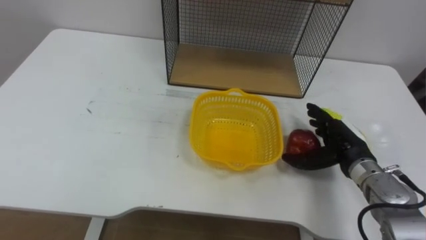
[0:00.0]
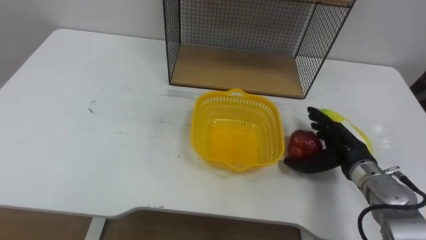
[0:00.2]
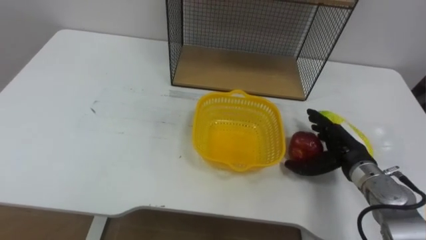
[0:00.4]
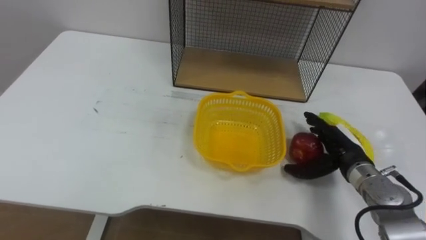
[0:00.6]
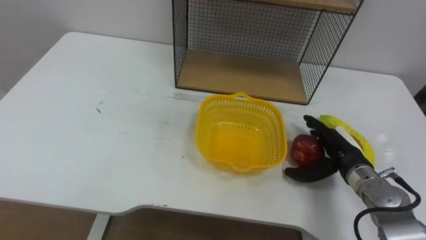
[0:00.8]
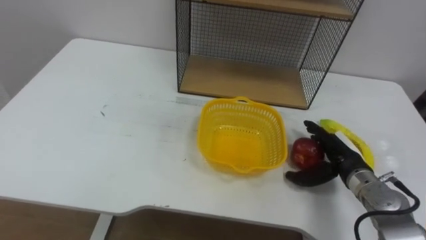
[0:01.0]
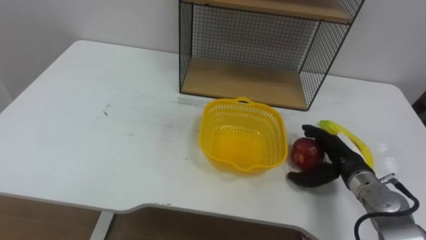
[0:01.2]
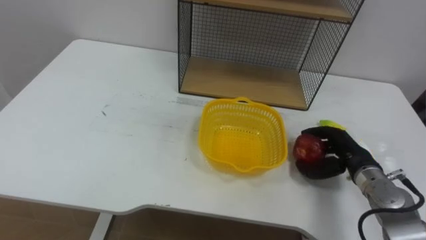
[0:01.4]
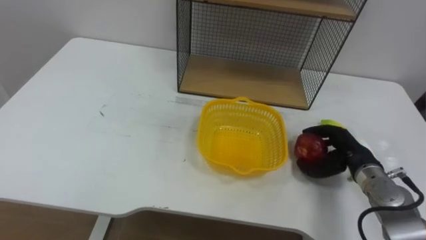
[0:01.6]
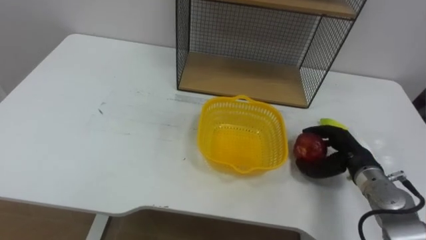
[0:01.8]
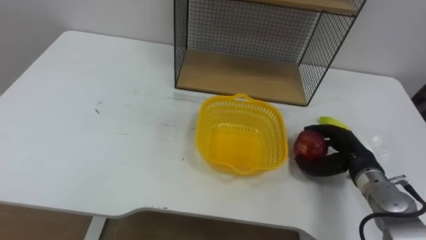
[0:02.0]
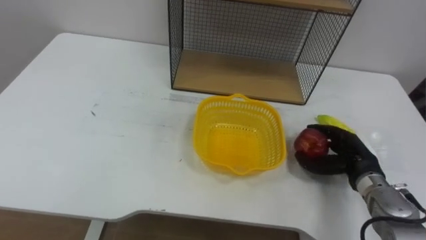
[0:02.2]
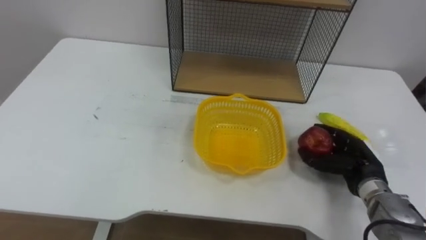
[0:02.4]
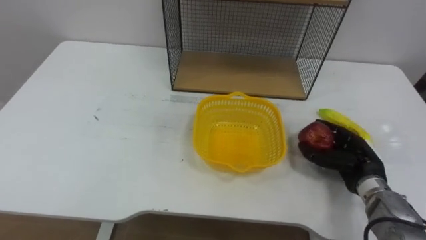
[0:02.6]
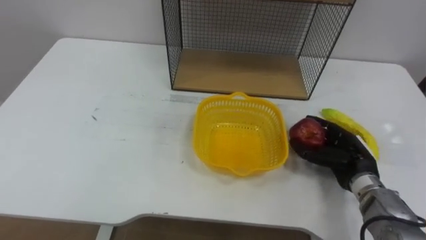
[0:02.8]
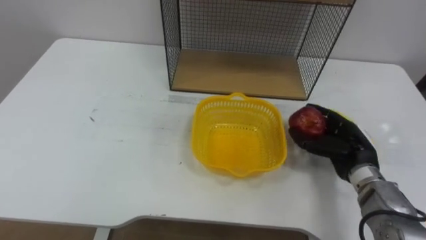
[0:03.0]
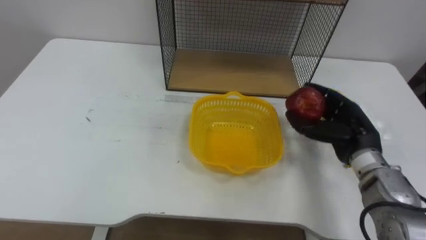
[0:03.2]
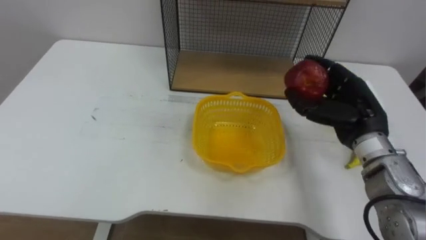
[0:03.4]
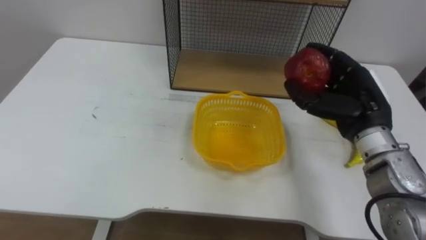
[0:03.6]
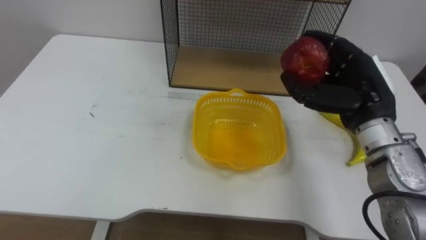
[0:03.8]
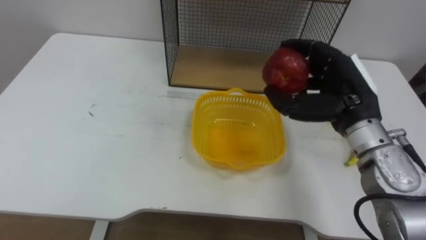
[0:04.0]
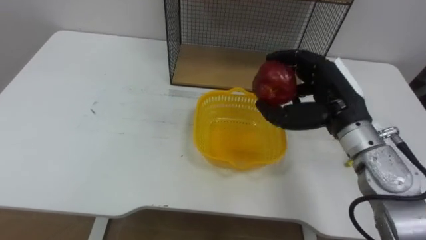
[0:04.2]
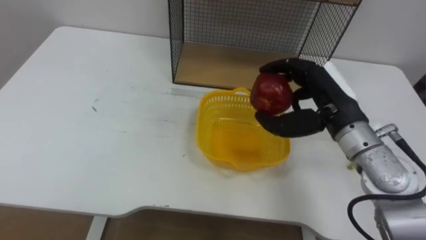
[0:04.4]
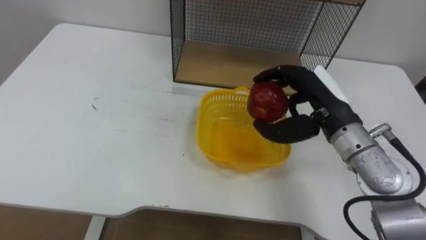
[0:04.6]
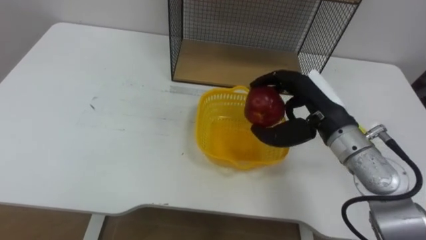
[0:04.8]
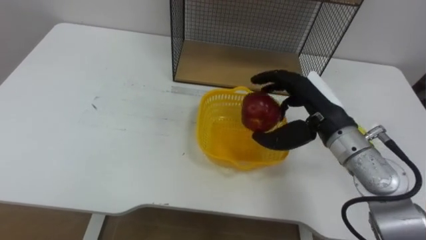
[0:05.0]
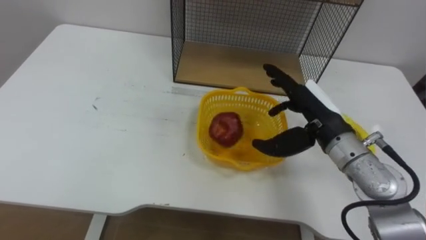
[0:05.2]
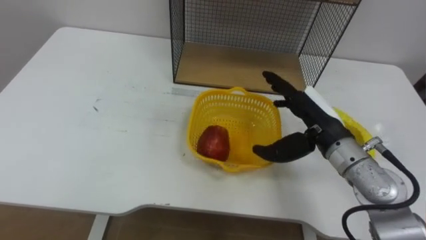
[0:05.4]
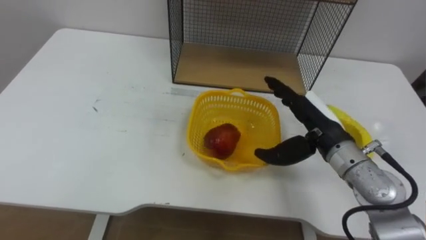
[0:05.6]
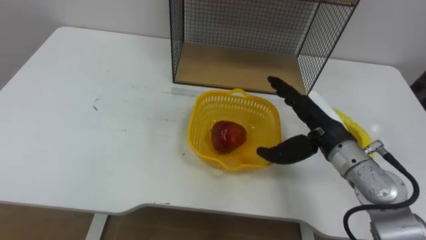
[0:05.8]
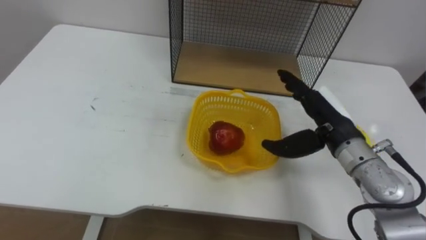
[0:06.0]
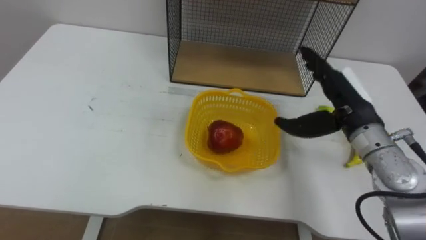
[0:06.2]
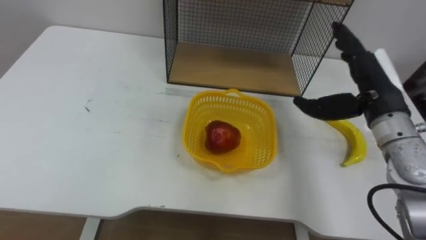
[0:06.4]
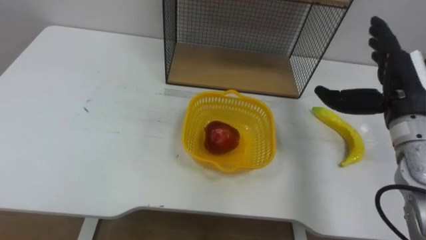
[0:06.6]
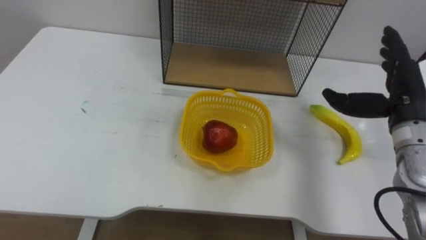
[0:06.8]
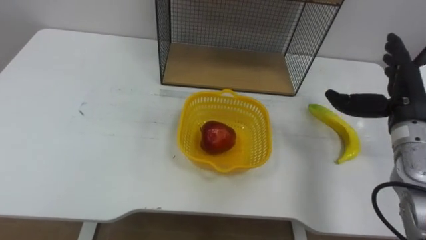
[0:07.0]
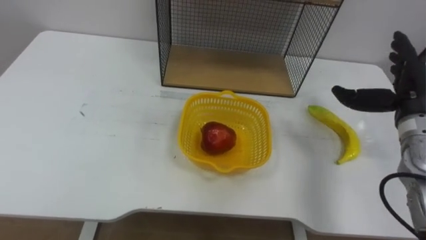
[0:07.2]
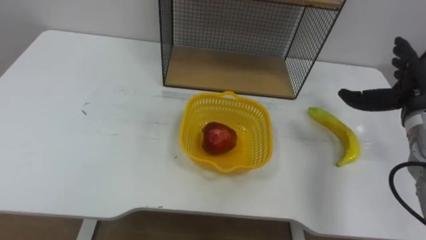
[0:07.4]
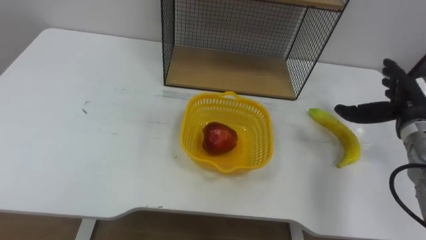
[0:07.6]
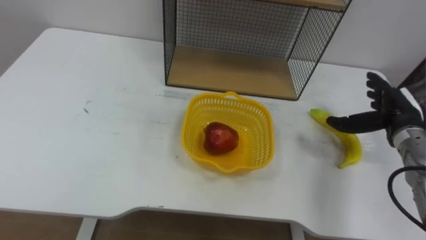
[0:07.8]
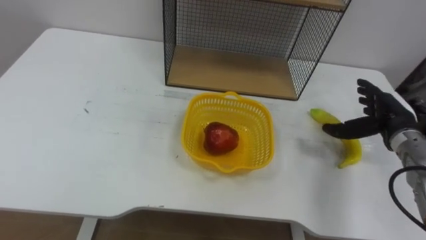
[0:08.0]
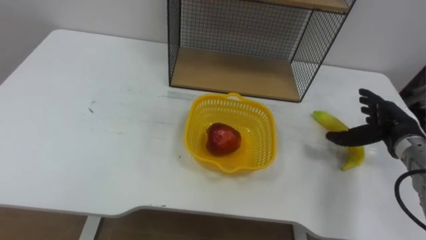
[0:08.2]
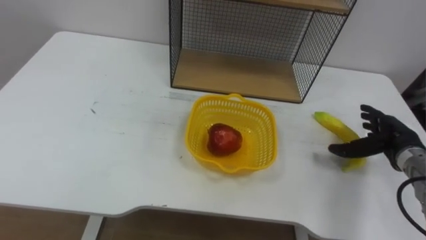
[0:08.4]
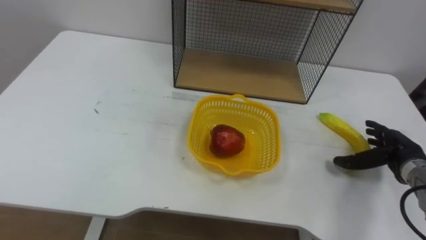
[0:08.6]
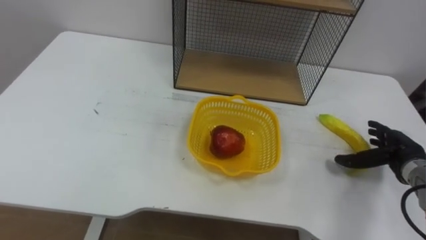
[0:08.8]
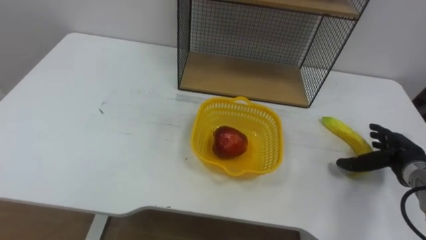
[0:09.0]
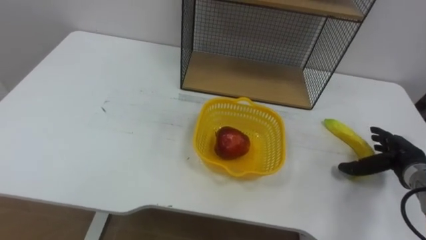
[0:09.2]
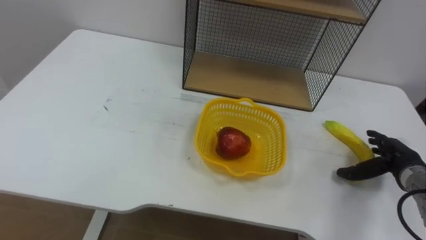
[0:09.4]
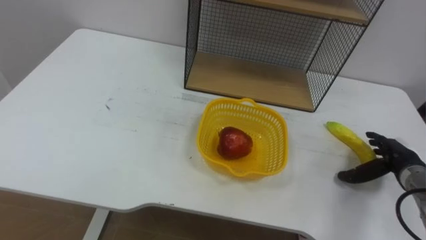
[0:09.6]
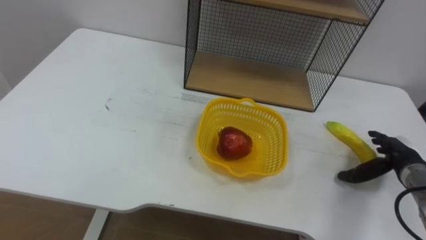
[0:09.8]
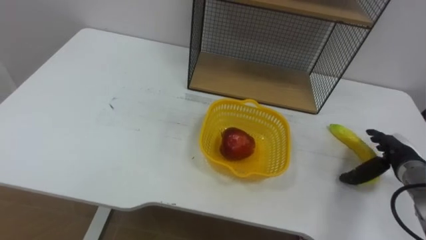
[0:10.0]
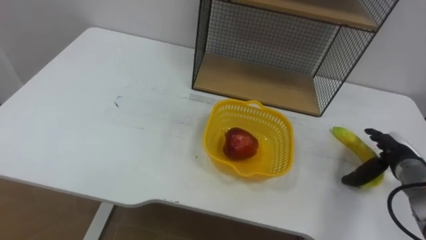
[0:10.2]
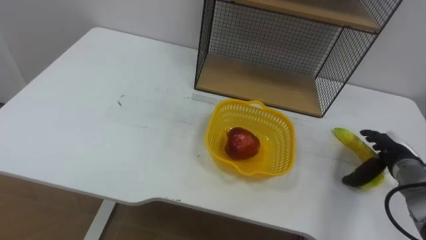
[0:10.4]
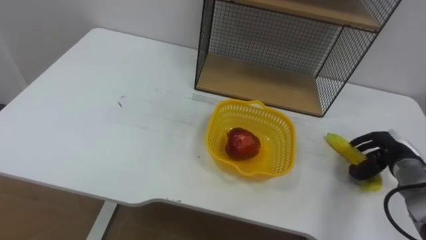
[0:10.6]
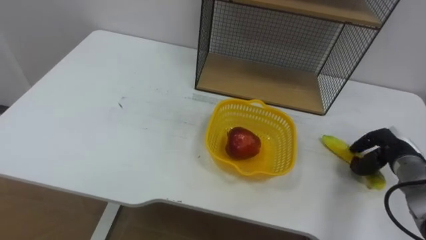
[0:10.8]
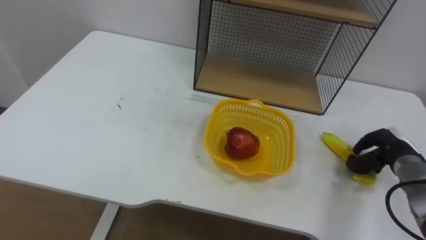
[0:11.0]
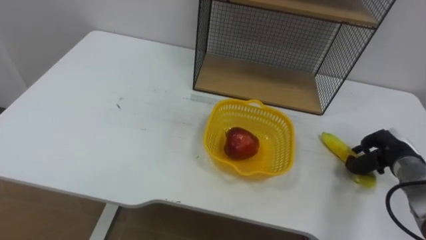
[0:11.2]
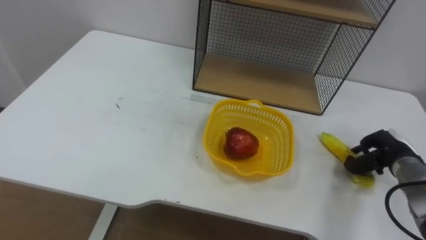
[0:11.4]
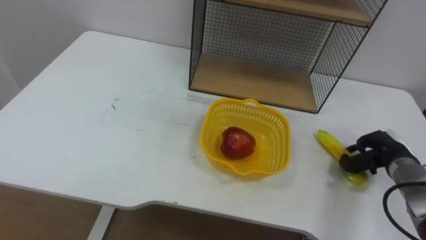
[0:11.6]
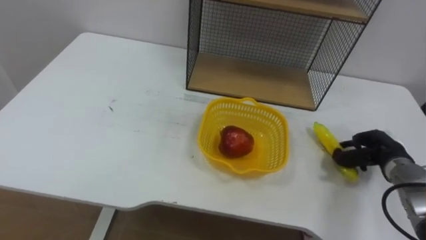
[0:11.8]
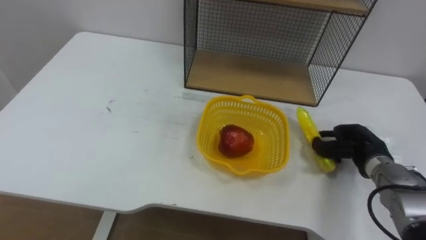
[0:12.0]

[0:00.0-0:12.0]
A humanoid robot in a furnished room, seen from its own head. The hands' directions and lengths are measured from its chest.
Task of the whole recording: Put the fruit on the table into the basket, then place the basket on the shelf.
0:00.0 to 0:01.6: The right hand closes up.
0:03.0 to 0:04.4: The right hand is displaced upward and to the left by roughly 15 cm.
0:04.4 to 0:06.0: The right hand opens its fingers.
0:06.0 to 0:07.6: The right hand is displaced to the right by roughly 15 cm.
0:07.6 to 0:09.0: The right hand moves downward, approximately 10 cm.
0:10.4 to 0:12.0: The right hand moves to the left, about 5 cm, and closes its fingers.

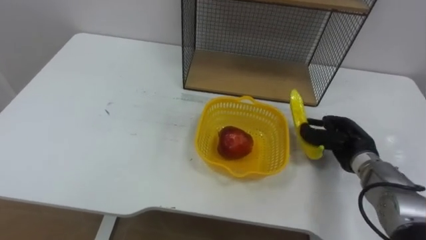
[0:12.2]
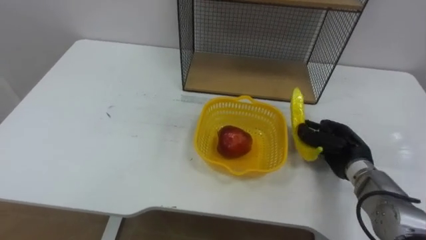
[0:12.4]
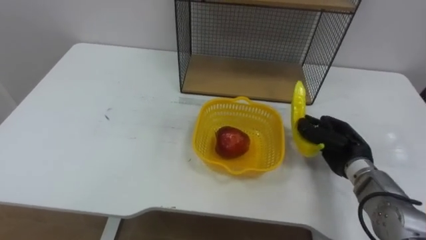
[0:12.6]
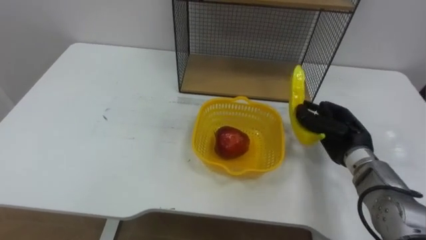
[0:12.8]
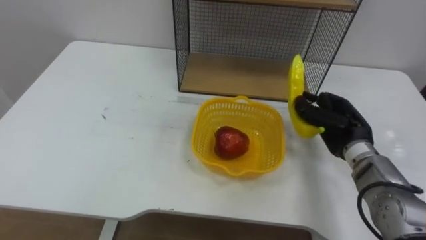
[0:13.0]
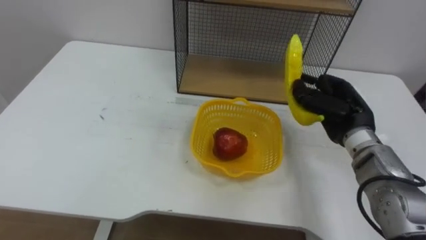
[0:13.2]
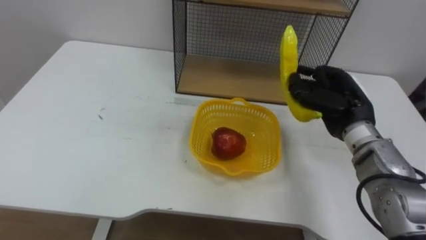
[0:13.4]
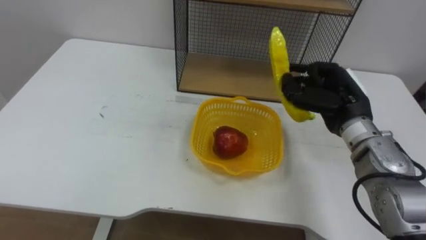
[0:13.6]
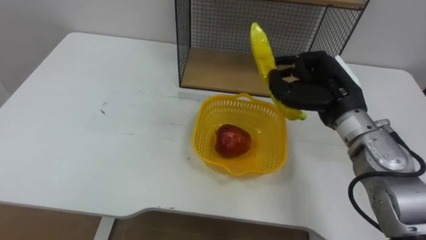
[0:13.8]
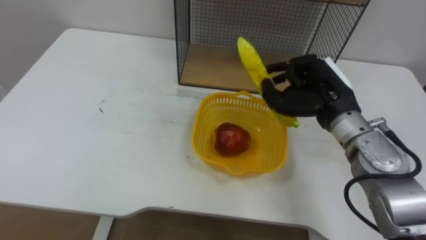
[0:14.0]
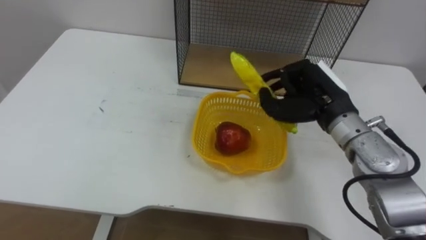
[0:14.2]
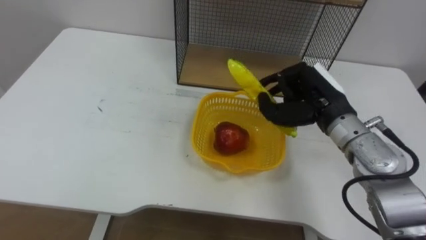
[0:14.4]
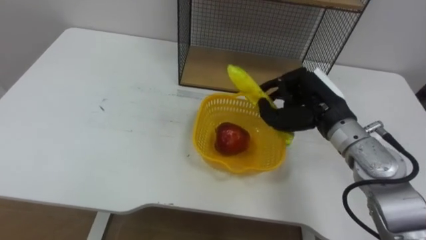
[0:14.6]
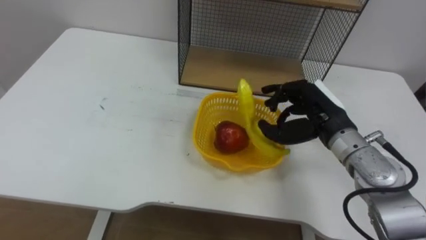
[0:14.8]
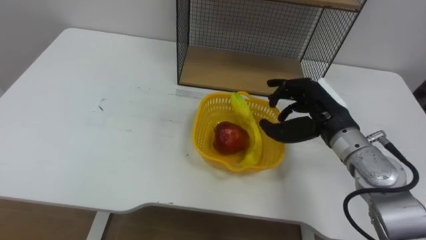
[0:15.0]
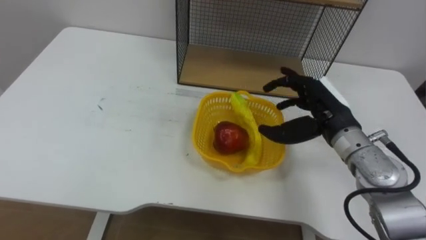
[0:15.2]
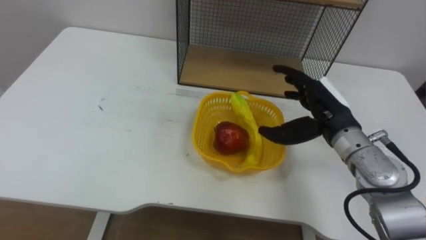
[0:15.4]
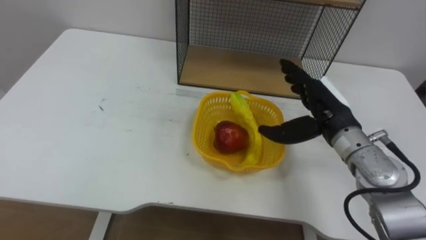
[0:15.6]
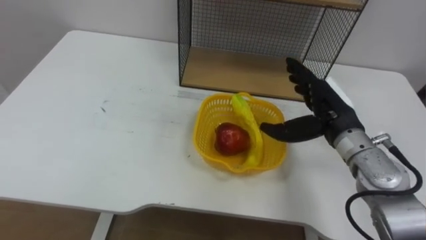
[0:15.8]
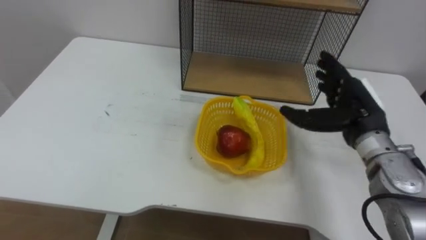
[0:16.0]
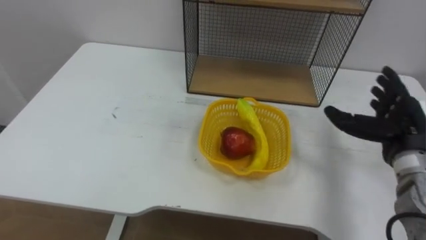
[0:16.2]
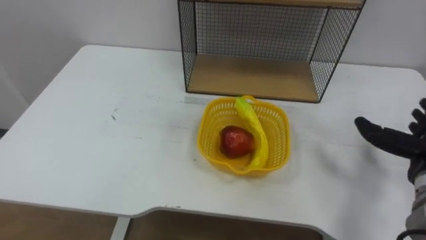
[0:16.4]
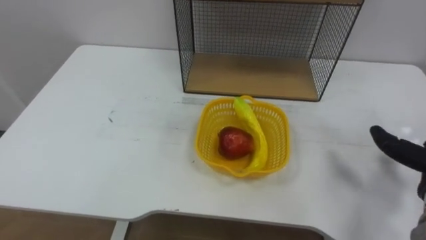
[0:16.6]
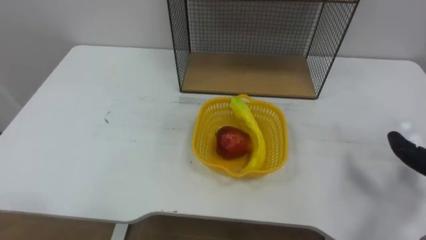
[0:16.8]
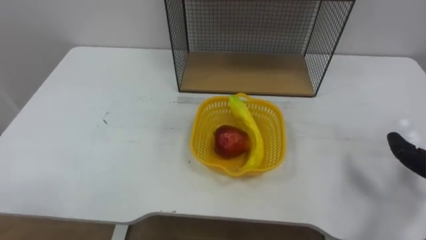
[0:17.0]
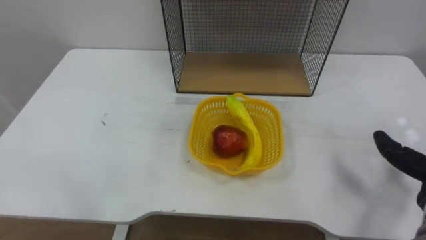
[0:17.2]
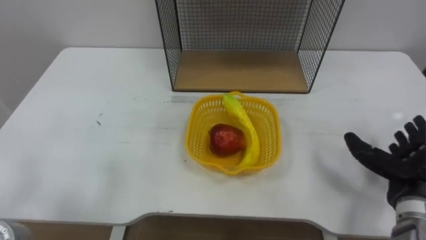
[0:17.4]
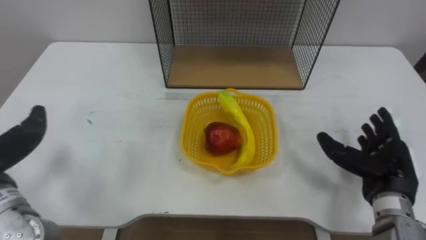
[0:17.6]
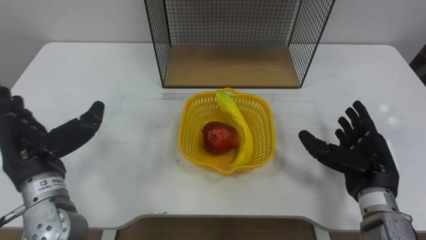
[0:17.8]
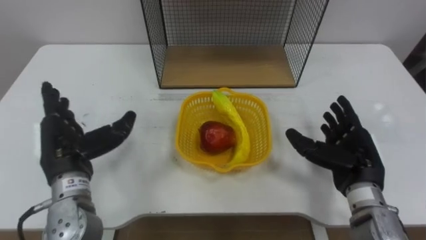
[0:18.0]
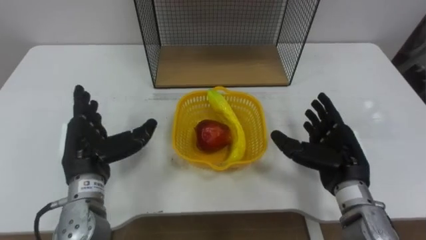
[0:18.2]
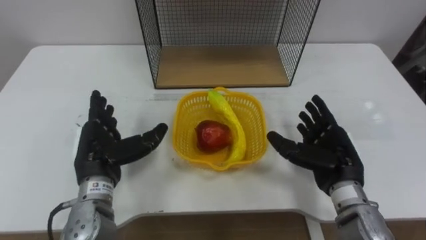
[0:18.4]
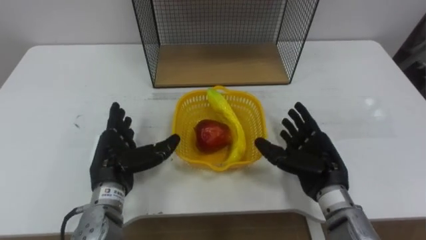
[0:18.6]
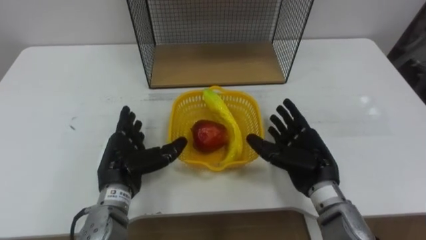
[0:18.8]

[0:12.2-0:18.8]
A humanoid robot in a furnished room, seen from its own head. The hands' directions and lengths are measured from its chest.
Task of the whole recording: Put the fruit on the table into the basket, then place the basket on the shelf.
0:12.2 to 0:13.8: The right hand shifts roughly 15 cm upward and to the left.
0:13.8 to 0:15.4: The right hand opens its fingers.
